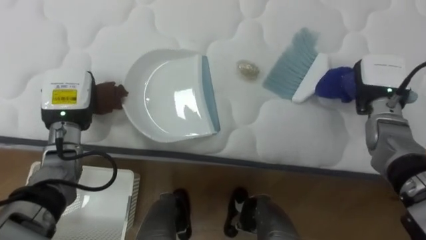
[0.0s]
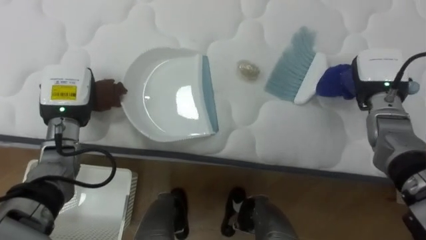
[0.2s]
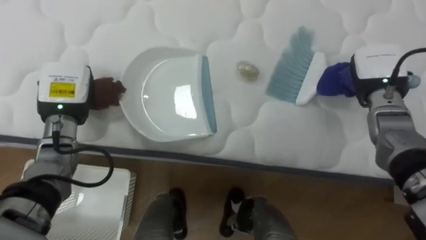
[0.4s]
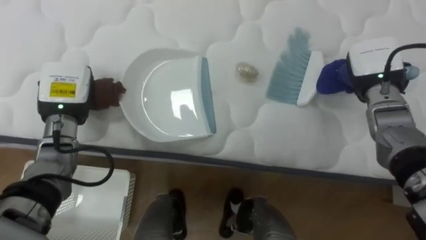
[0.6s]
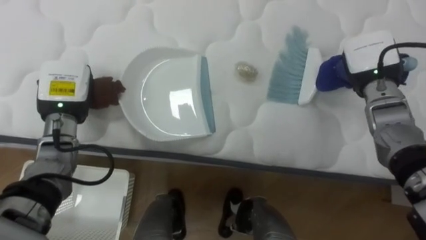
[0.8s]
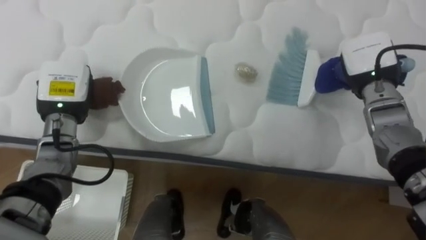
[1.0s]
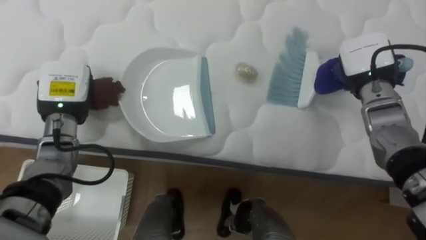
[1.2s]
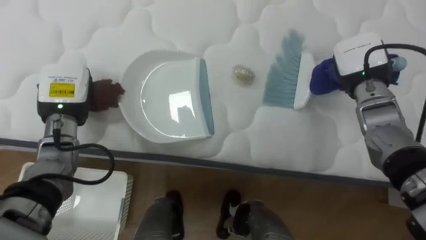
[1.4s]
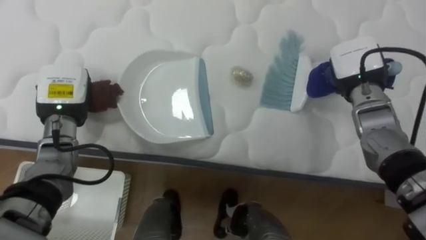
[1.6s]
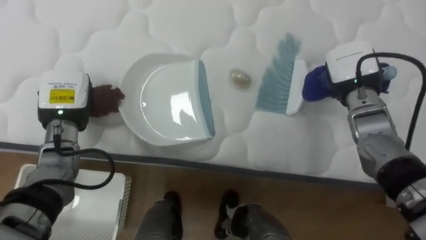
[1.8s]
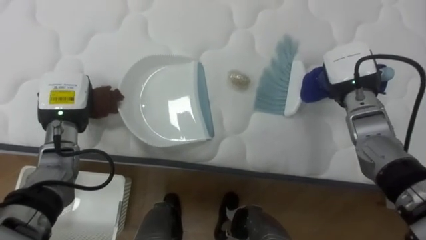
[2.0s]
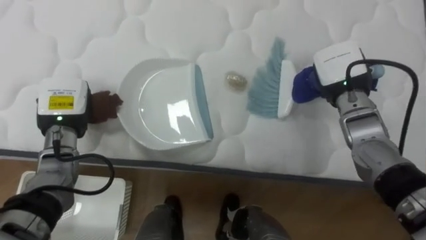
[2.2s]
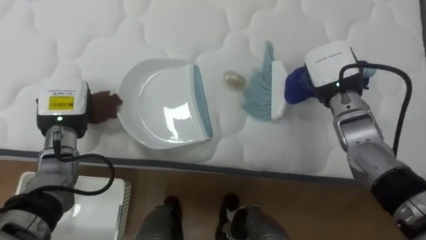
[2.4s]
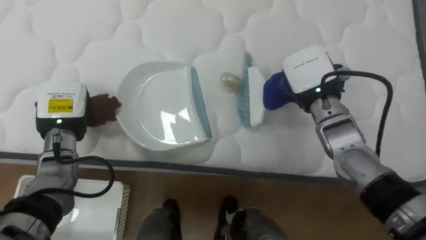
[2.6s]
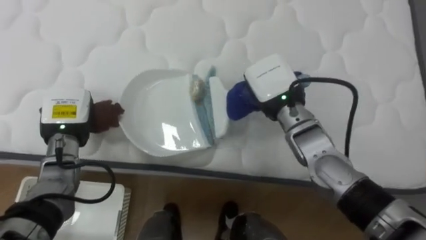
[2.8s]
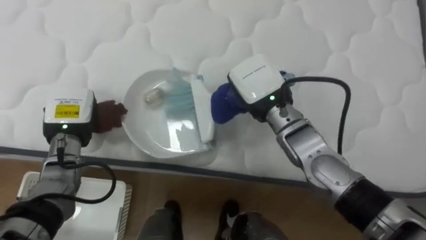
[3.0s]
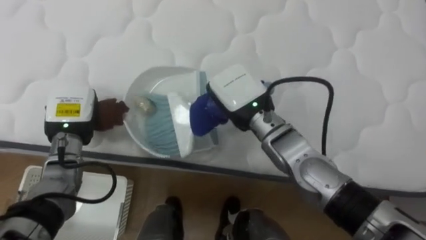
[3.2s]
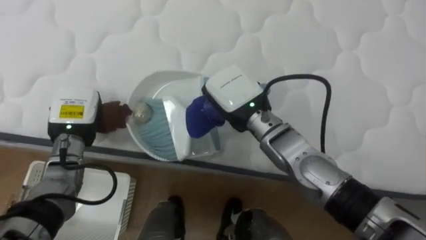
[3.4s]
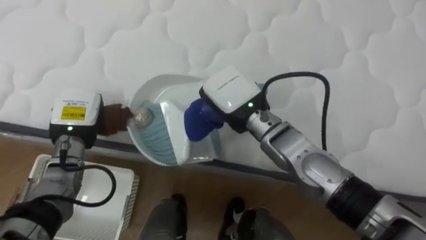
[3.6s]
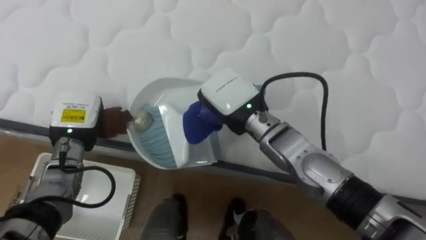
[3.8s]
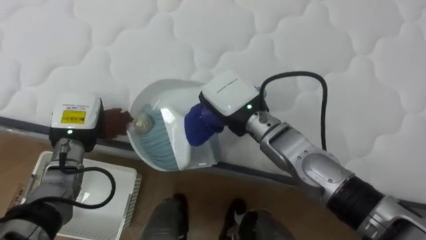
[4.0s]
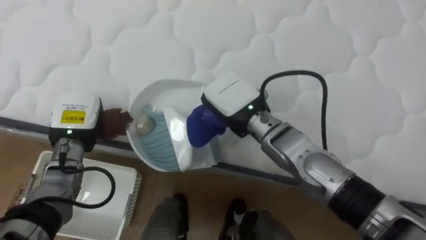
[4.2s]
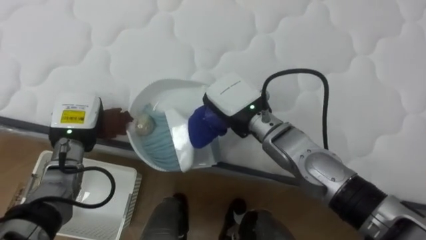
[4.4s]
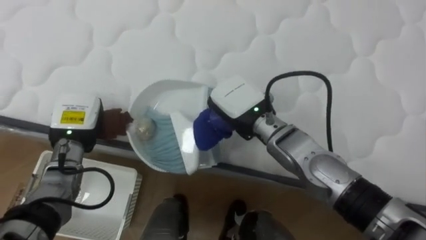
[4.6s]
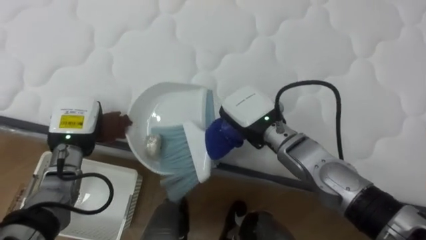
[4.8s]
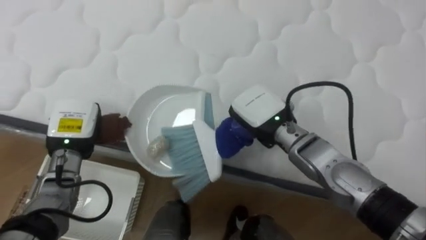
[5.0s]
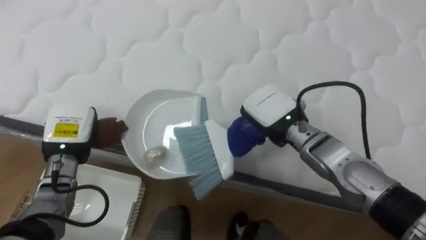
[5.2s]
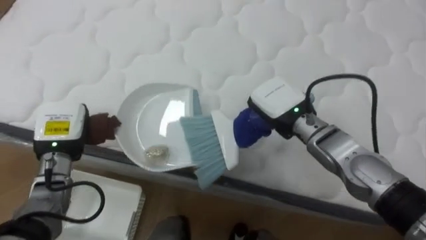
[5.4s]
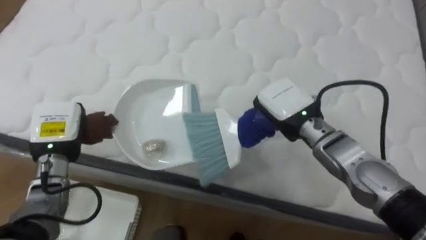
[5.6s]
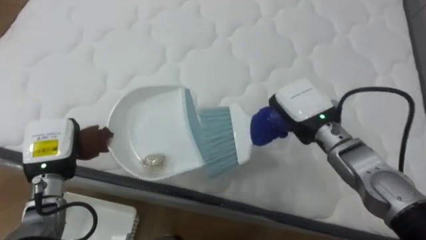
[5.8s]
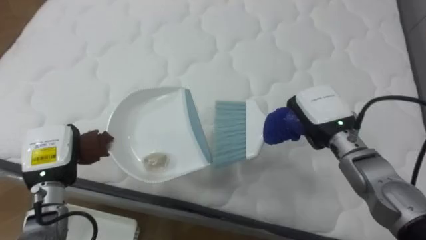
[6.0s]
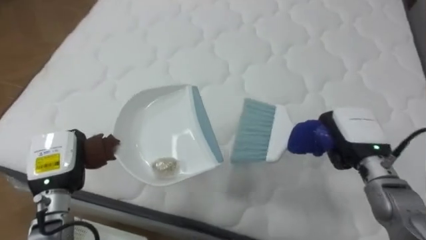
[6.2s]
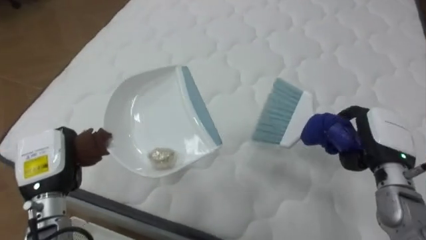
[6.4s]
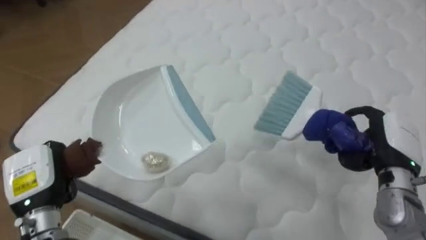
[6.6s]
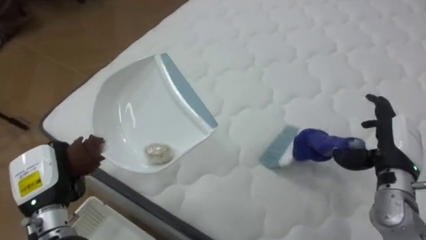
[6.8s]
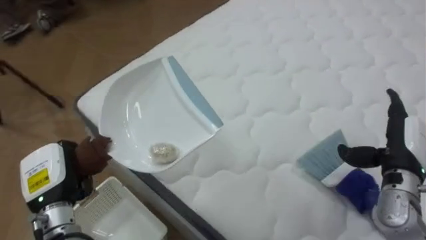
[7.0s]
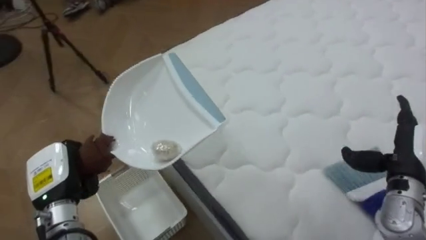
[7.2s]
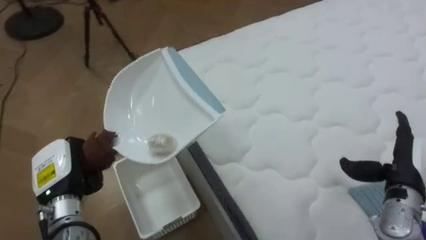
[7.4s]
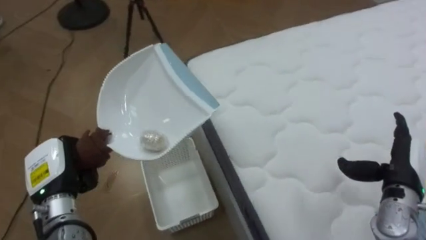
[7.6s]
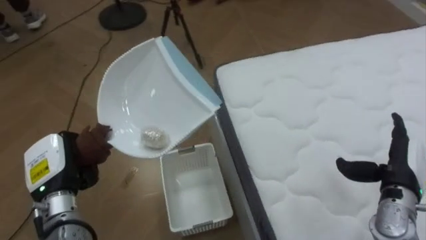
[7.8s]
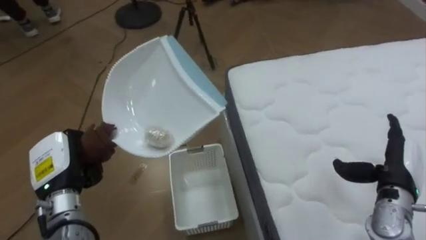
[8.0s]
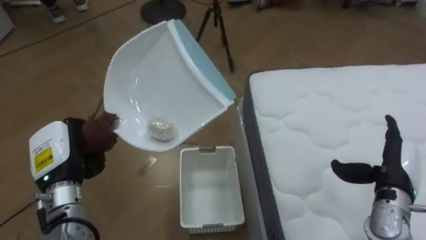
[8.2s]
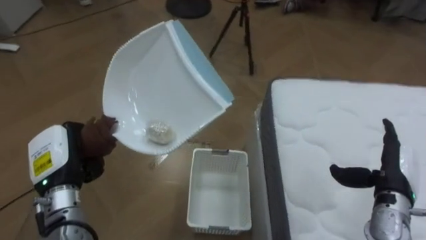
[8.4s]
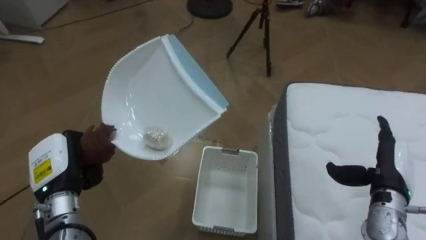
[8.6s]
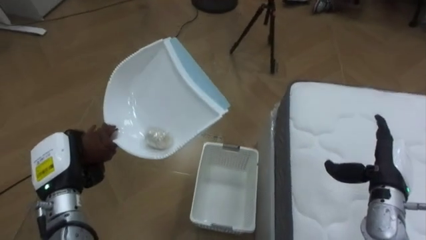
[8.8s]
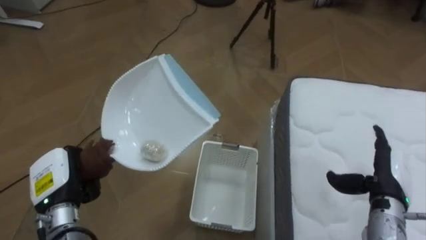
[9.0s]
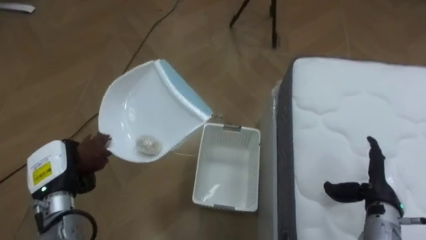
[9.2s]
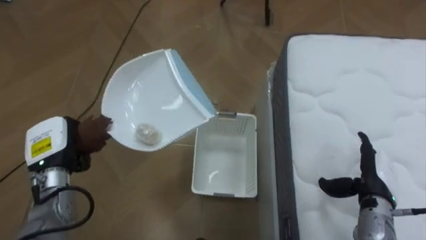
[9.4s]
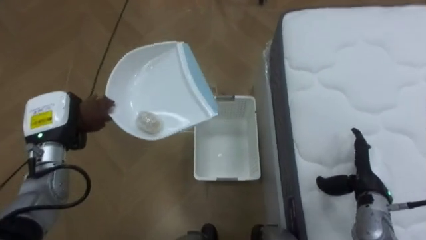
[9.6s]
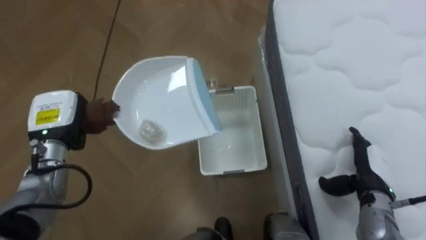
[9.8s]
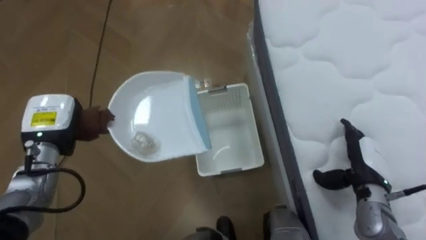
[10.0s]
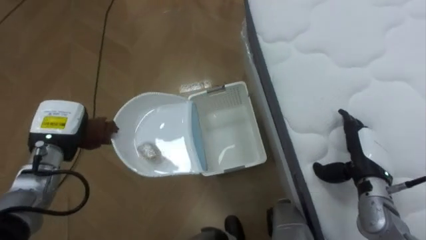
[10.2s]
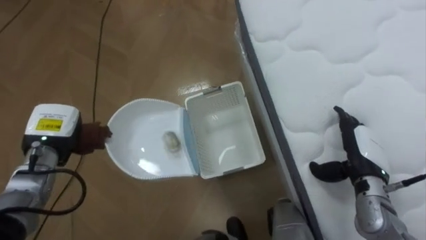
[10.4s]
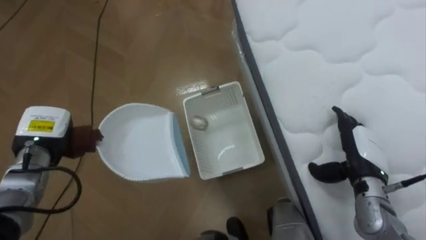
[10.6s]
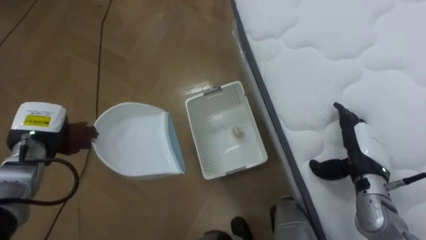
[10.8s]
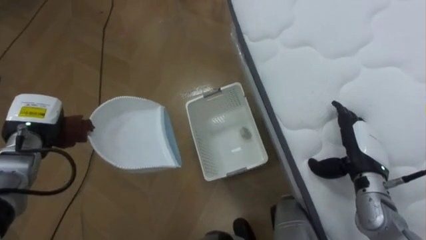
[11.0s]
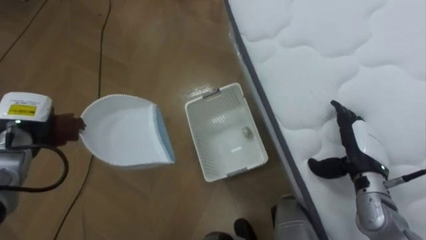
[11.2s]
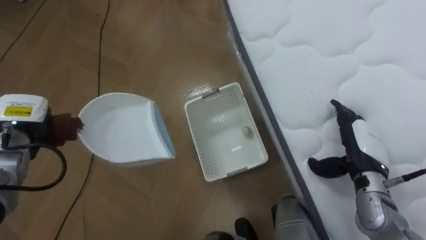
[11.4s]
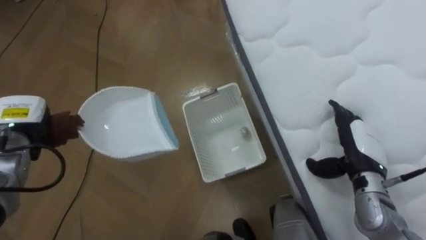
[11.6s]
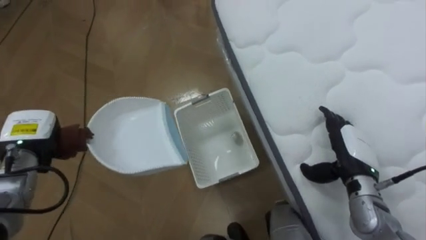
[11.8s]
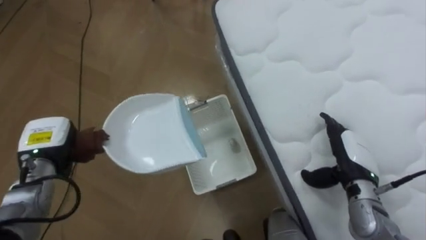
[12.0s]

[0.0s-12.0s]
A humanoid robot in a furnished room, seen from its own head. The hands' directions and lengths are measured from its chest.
Task of the whole recording: Pick up the brush on your right and the dustpan on your left. Use the brush to sweep the crumpled paper on the bed into the dustpan, then turn left and empty it into the basket.
0.0s to 1.6s: The right hand shifts approximately 5 cm to the left.
1.6s to 3.0s: The right hand moves to the left, about 20 cm.
4.4s to 6.0s: The left hand goes some 5 cm backward; the right hand is displaced to the right by about 15 cm.
6.0s to 7.6s: The robot's body swings some 60 degrees to its left. The right hand moves to the right and backward, approximately 15 cm, and opens its fingers.
7.6s to 9.0s: The robot faces approximately 30 degrees further to its left.
9.0s to 10.4s: The right hand moves about 5 cm. The left hand heads forward, covering roughly 10 cm.

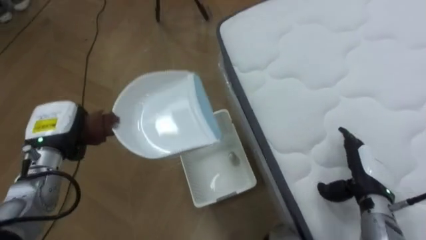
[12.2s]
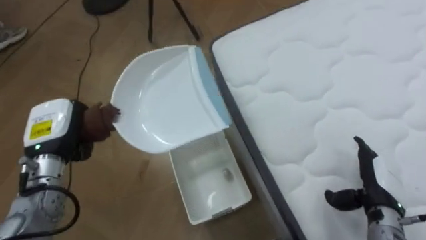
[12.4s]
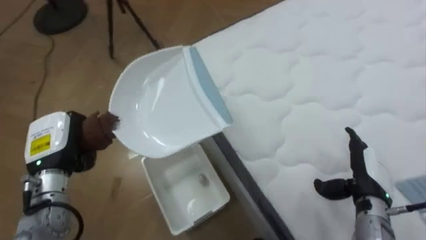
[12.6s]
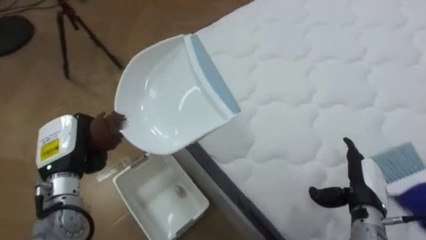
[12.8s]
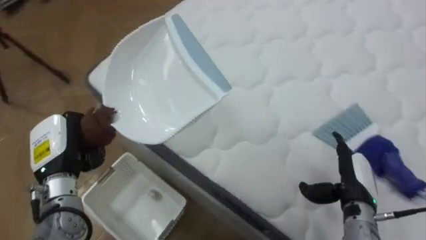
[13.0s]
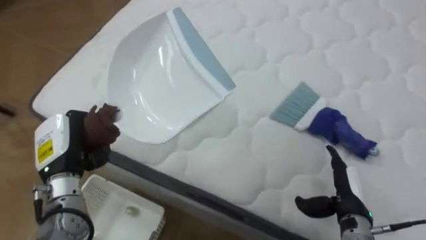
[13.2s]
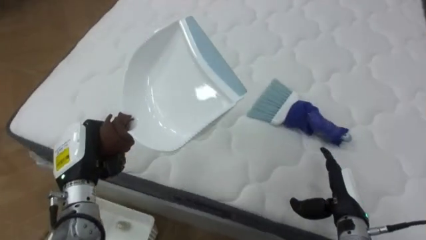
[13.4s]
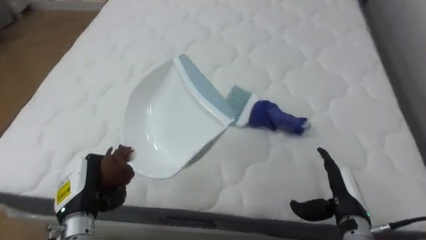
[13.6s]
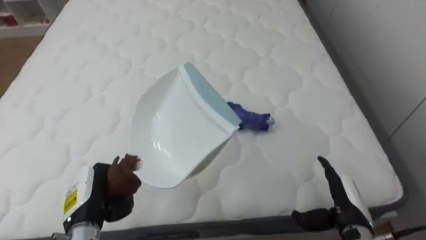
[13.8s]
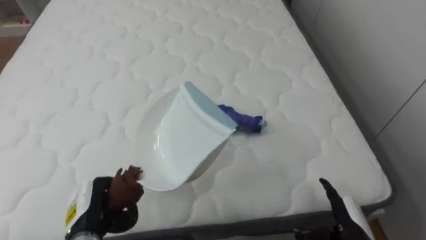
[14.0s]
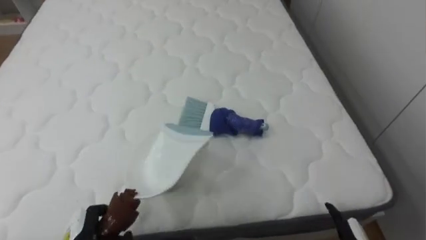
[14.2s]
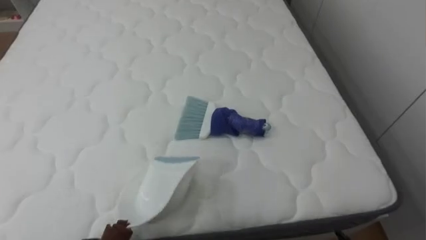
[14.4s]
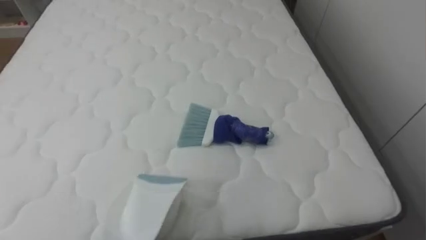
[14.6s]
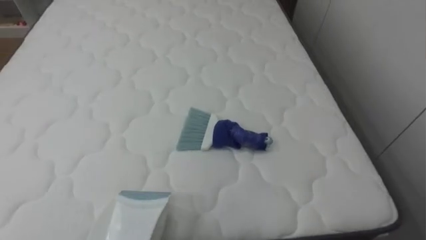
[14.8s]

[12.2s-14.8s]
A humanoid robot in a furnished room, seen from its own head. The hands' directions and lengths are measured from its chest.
Task of the whole recording: Pick up the brush on your right and the dustpan on your left. Use the brush to sweep the crumpled paper on the bed into the dustpan, then turn left and empty it into the basket.
12.2s to 13.4s: The robot rotates roughly 60 degrees to its right. The right hand shifts by roughly 5 cm, while the left hand moves about 5 cm.
13.4s to 14.8s: The robot's body swings some 25 degrees to its right.

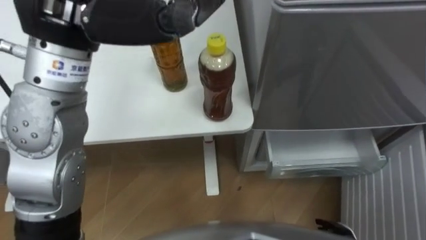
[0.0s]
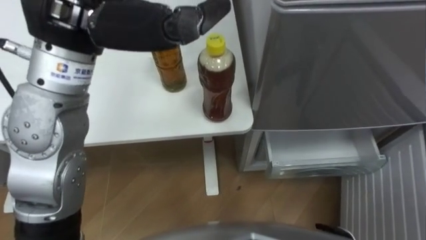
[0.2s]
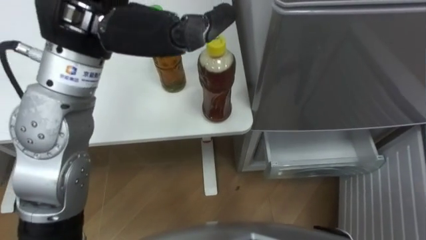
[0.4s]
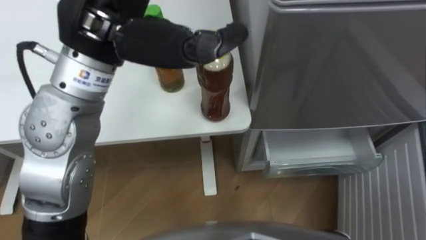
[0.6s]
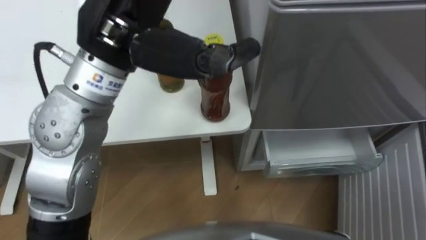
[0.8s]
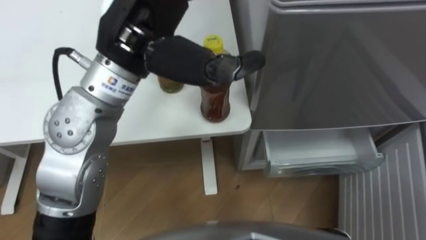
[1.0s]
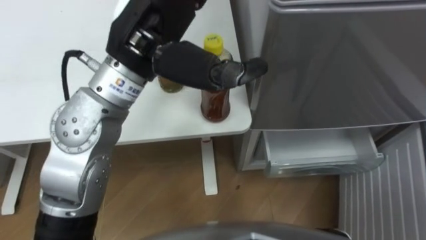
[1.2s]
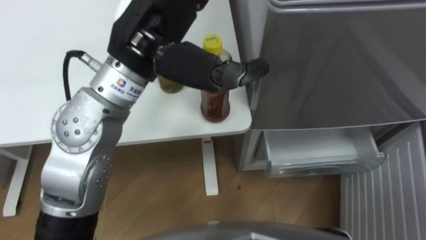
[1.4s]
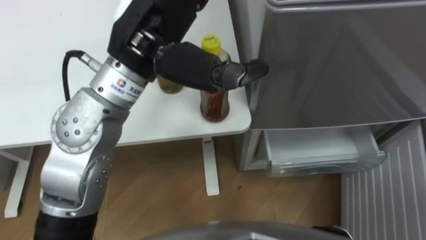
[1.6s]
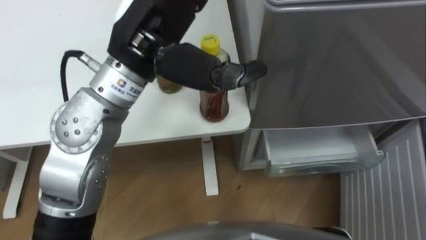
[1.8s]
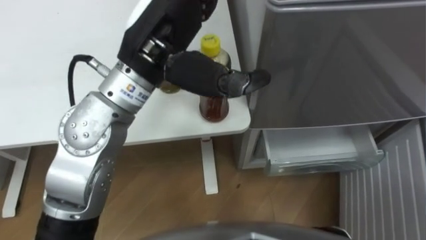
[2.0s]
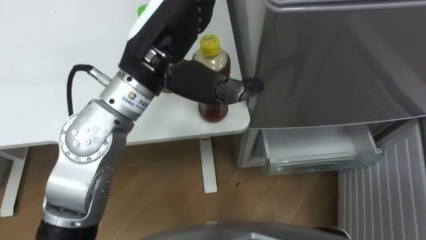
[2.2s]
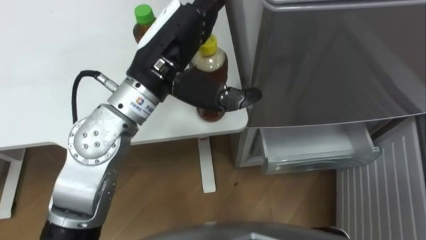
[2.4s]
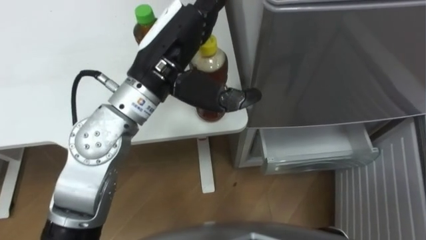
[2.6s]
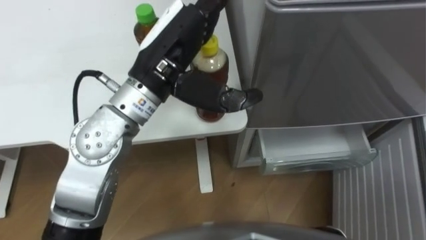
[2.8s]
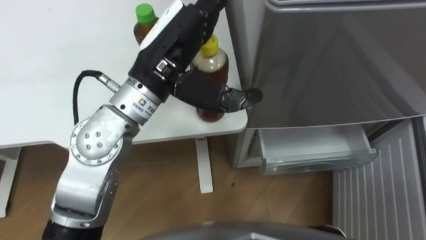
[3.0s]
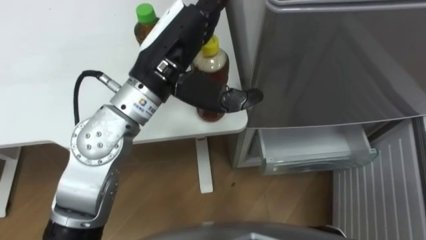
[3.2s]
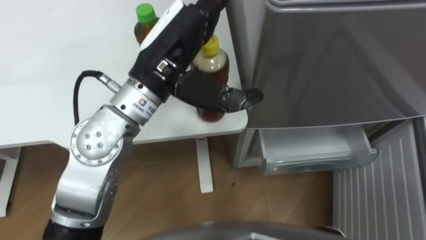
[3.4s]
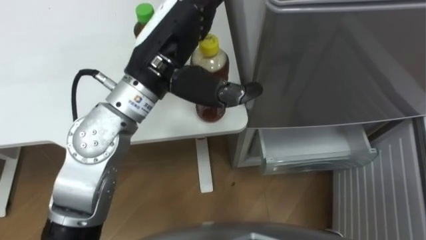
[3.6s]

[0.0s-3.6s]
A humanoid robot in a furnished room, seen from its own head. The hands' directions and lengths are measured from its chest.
Task of the whole recording: Place the drink on the table on the bottom shelf of the refrigerator, then close the drawer and the refrigerator door.
0.0s to 1.8s: The left hand shifts roughly 10 cm to the right and downward.
